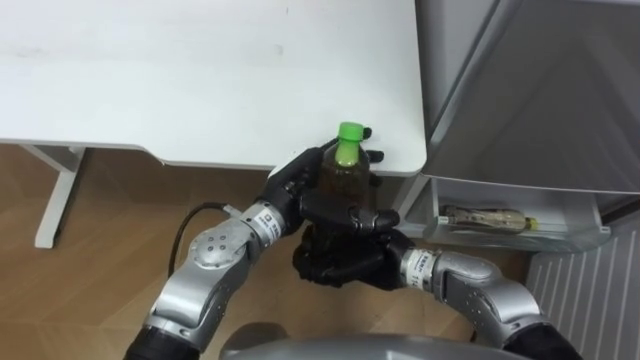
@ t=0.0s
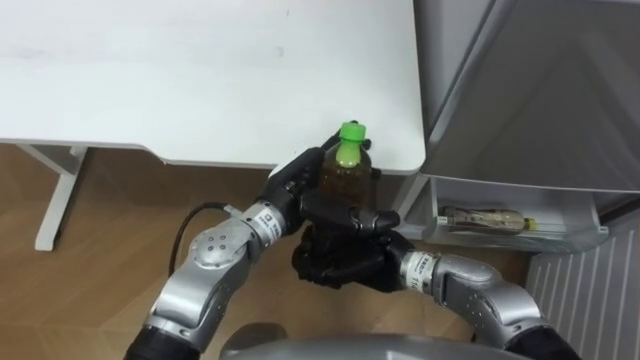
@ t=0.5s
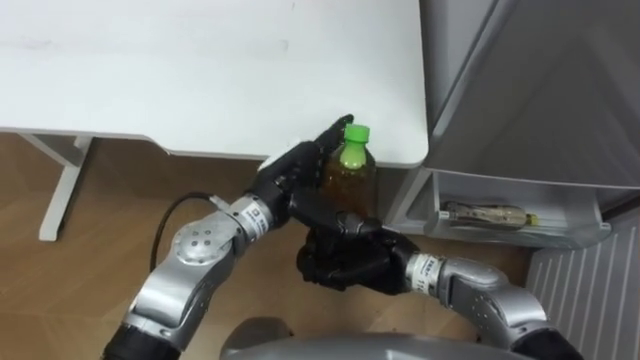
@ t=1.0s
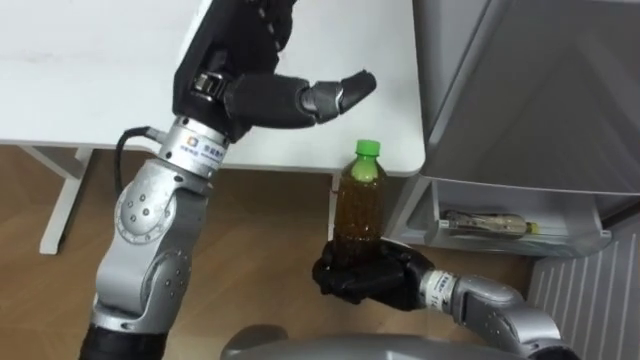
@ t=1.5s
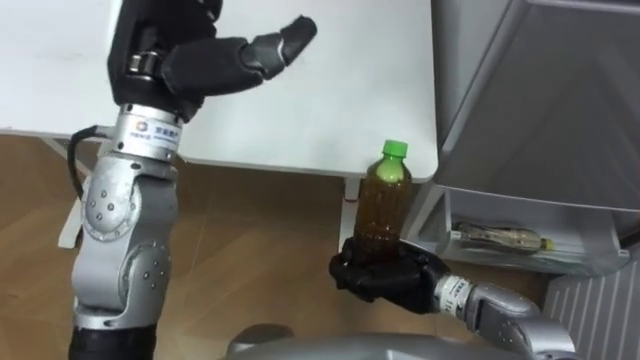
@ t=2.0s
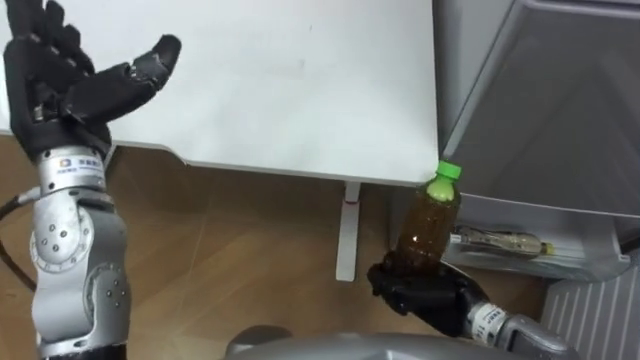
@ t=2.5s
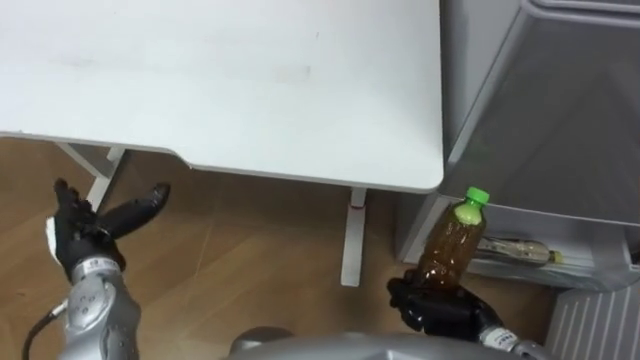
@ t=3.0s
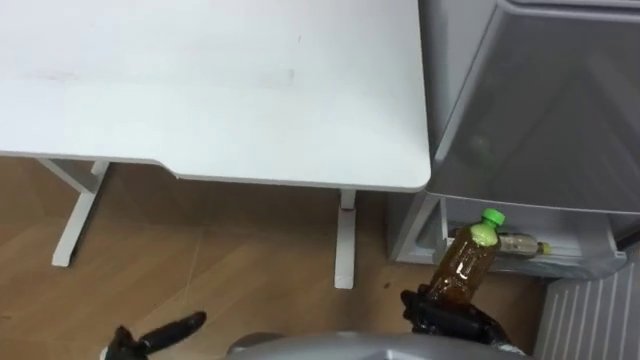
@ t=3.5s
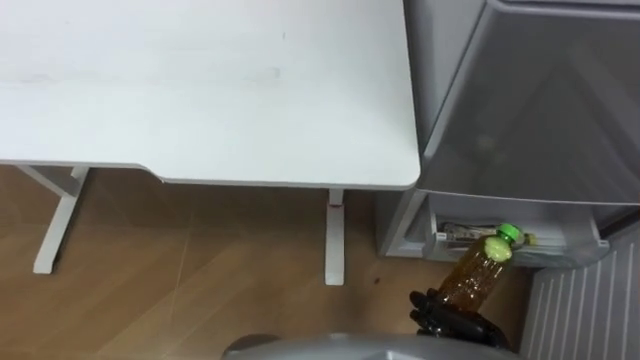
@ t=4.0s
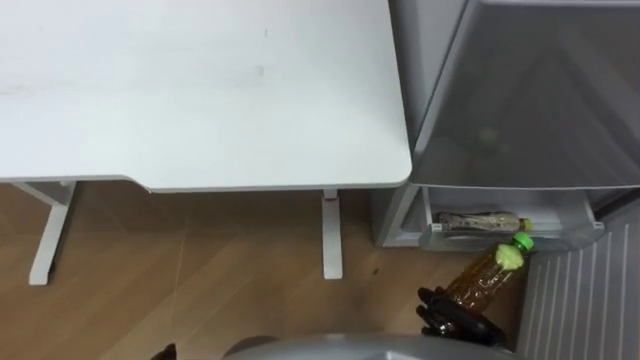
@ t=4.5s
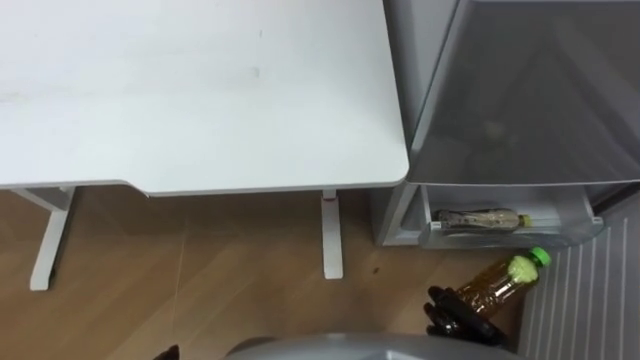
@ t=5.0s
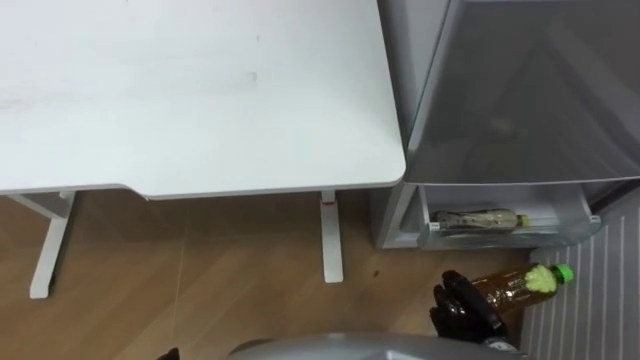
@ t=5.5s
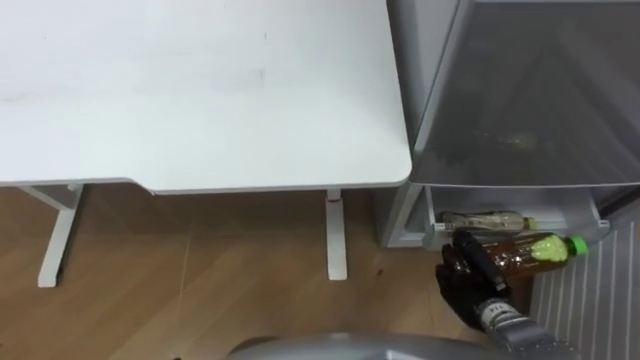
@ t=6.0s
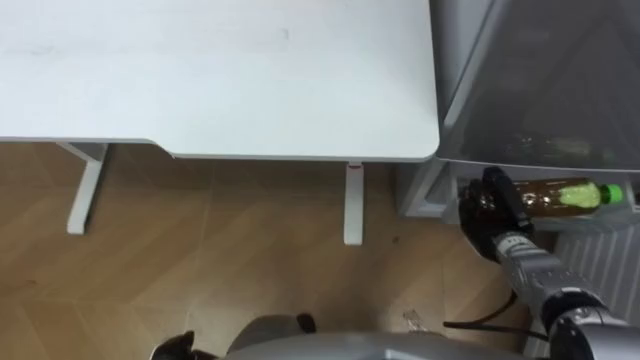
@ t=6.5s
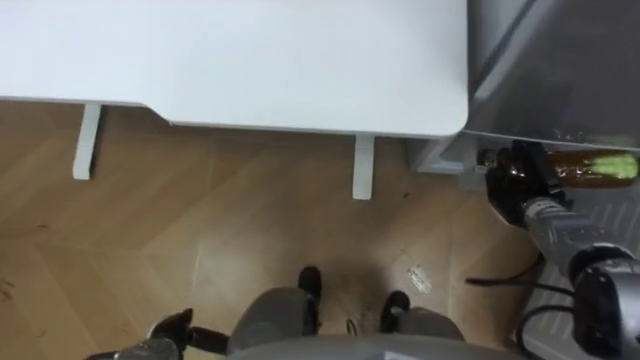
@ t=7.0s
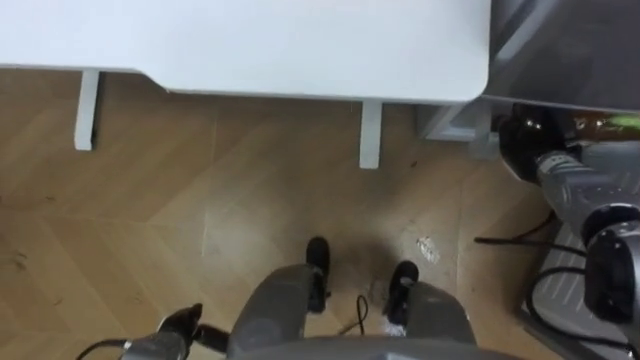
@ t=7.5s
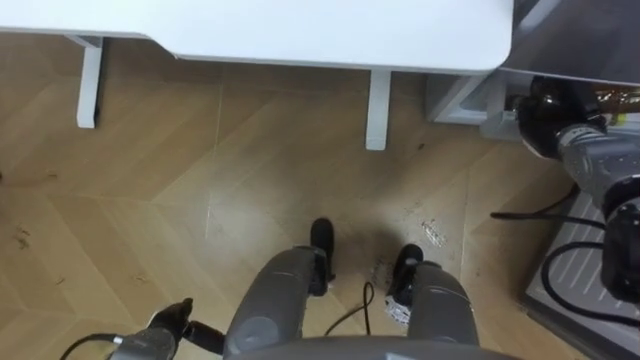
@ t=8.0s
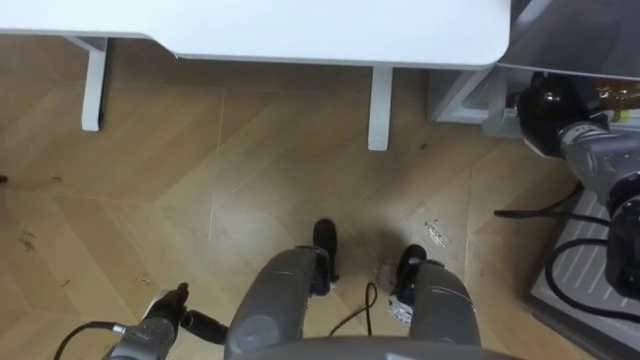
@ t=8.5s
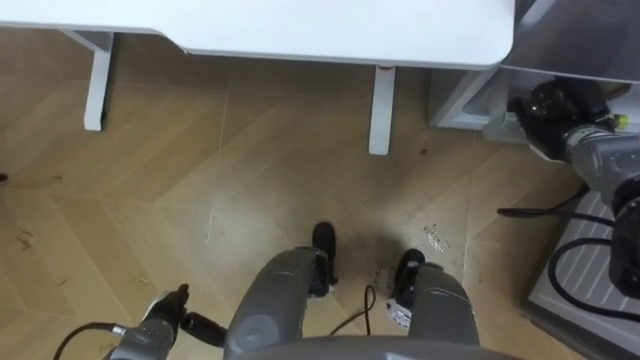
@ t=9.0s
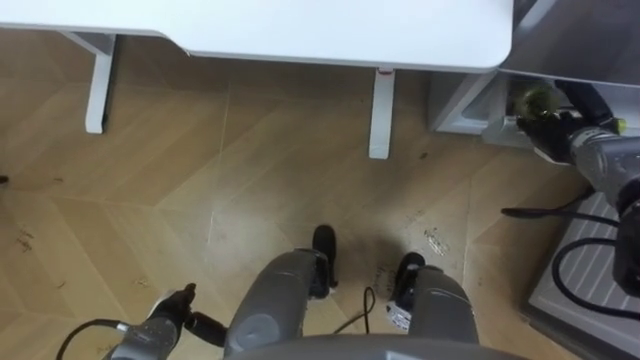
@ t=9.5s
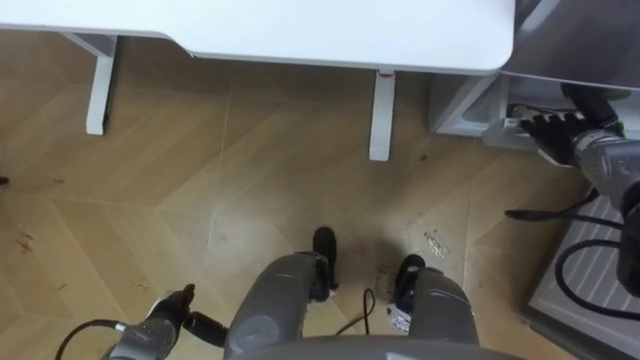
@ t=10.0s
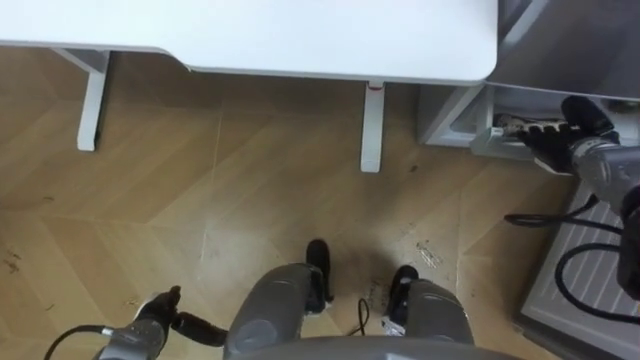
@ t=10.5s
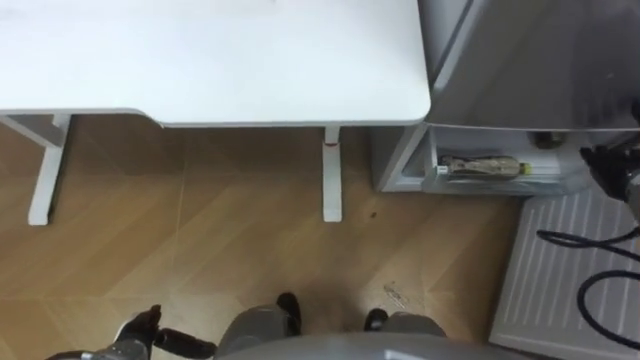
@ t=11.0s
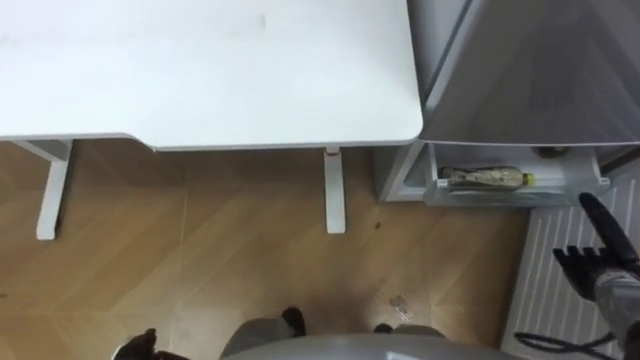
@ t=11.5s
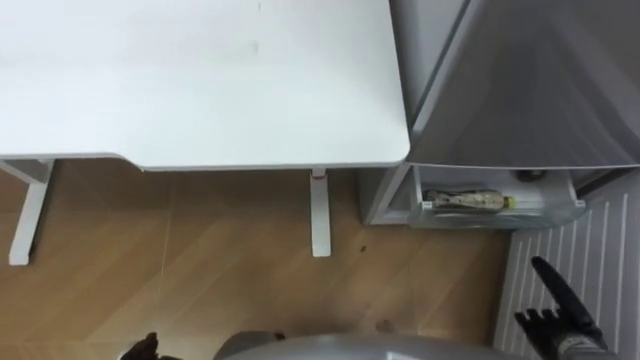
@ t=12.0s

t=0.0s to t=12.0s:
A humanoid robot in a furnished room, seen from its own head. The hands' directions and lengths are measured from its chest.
Task of the whole recording: Place the drink on the table on the bottom shelf of the refrigerator, then close the drawer and the refrigerator door.
t=0.0s to t=2.0s: The right hand changes place by some 5 cm, while the left hand shifts about 20 cm upward and to the left.
t=2.0s to t=4.0s: The right hand heads to the right, backward and downward, covering approximately 15 cm.
t=4.0s to t=6.0s: The right hand goes about 5 cm forward.
t=6.0s to t=8.0s: The right hand heads forward, upward and to the right, covering about 25 cm.
t=8.0s to t=10.0s: The right hand opens.
t=10.0s to t=12.0s: The right hand heads backward and downward, covering some 30 cm.

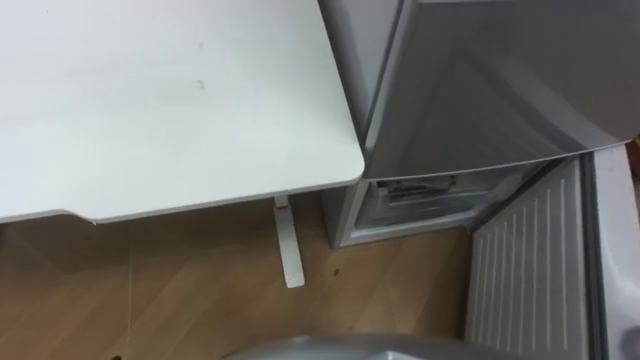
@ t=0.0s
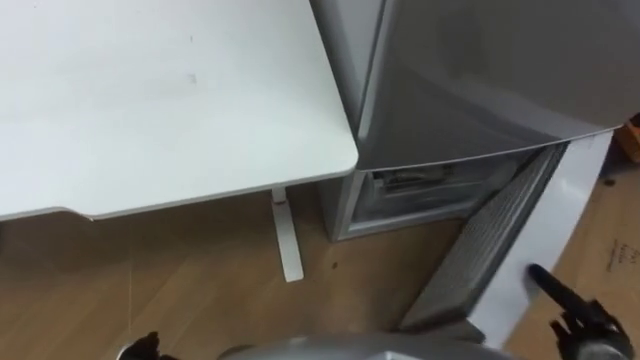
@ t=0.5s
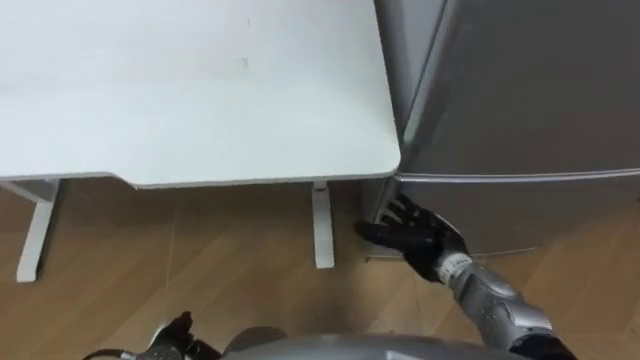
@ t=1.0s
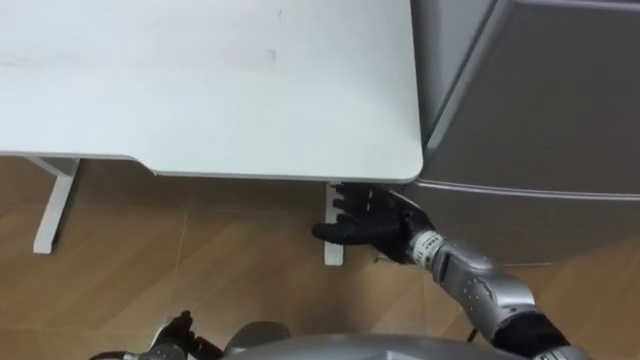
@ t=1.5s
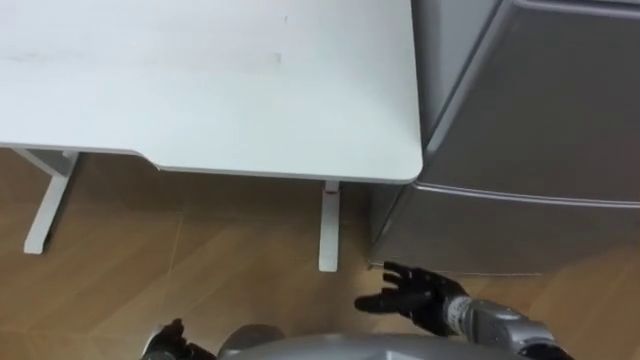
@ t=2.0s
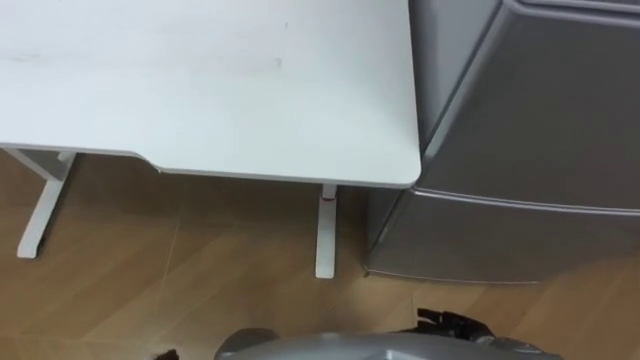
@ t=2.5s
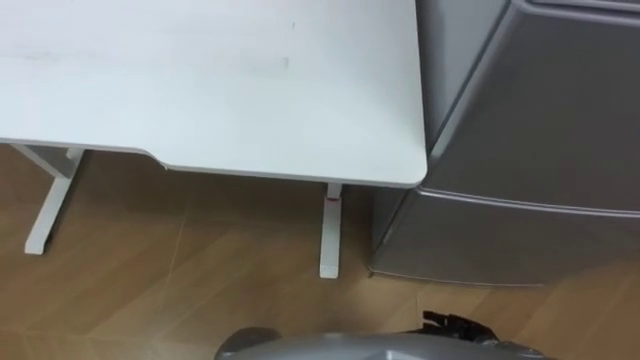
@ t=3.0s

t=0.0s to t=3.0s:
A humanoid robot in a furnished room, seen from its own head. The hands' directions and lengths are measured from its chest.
Task of the whole recording: Place the drink on the table on the bottom shelf of the refrigerator, then close the drawer and the refrigerator door.
t=1.5s to t=3.0s: The right hand is displaced backward, downward and to the right by approximately 25 cm.

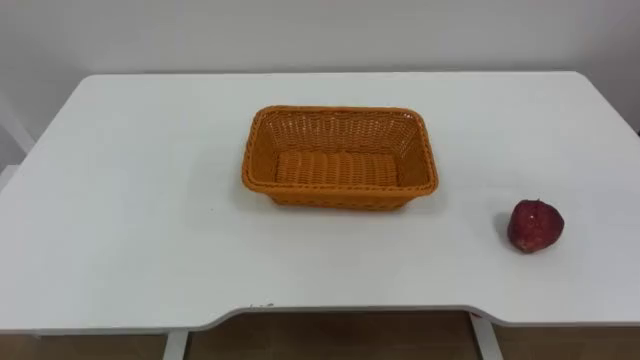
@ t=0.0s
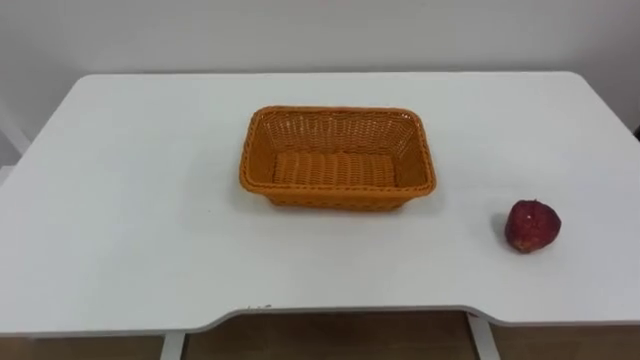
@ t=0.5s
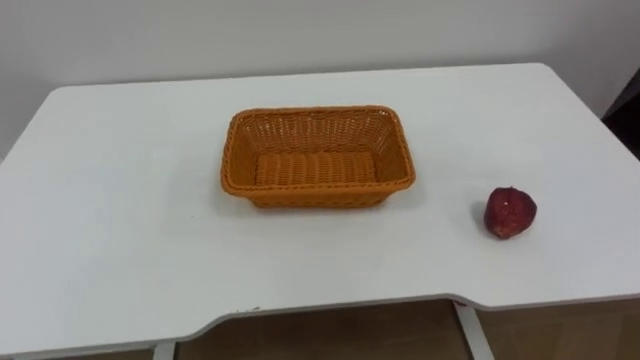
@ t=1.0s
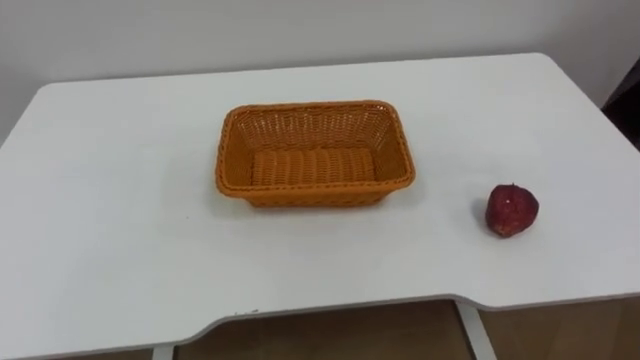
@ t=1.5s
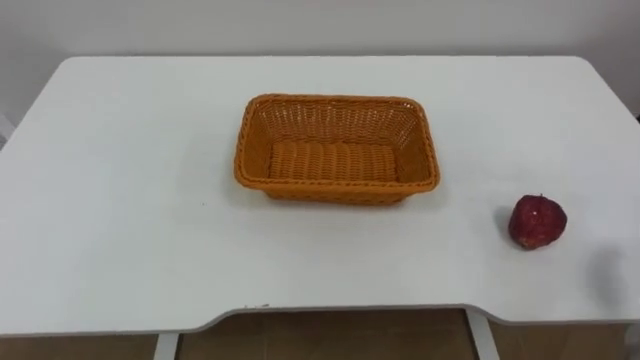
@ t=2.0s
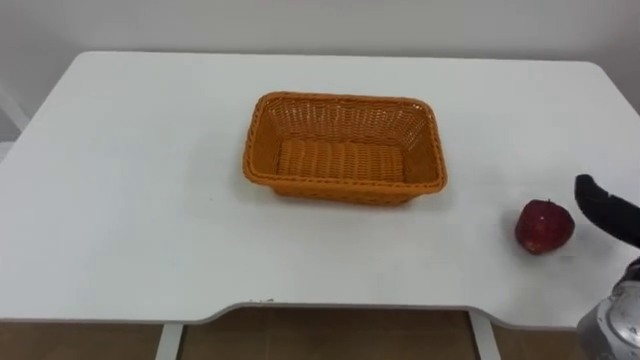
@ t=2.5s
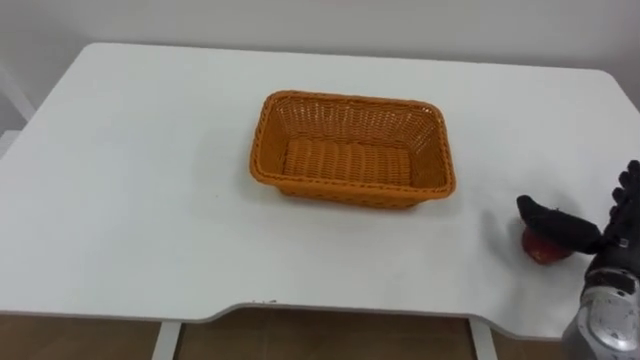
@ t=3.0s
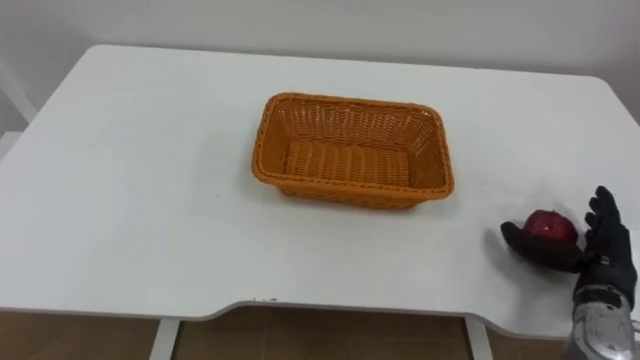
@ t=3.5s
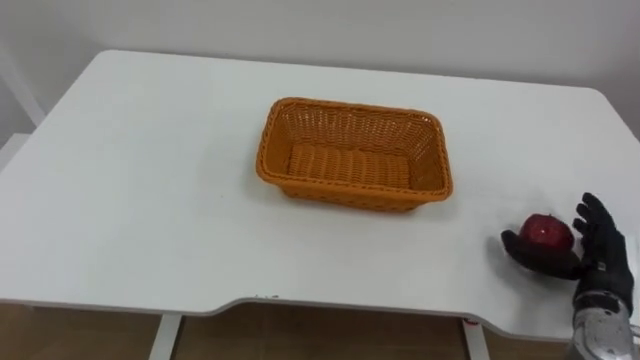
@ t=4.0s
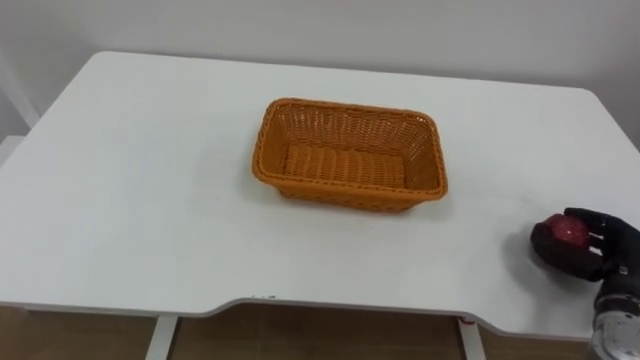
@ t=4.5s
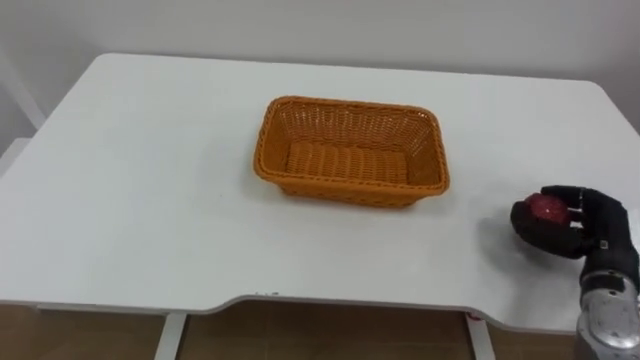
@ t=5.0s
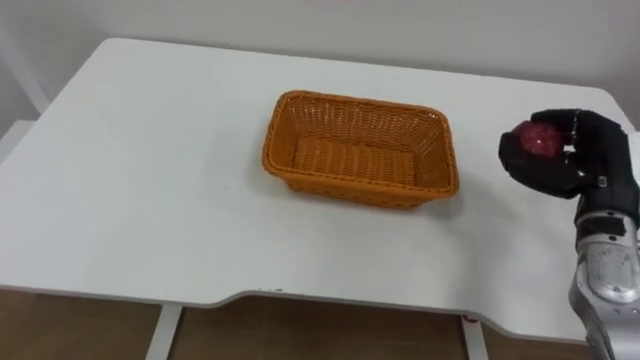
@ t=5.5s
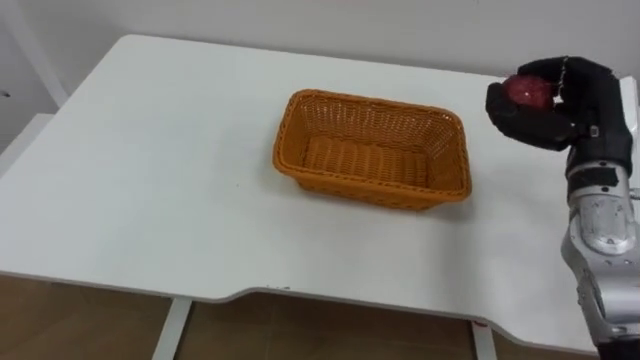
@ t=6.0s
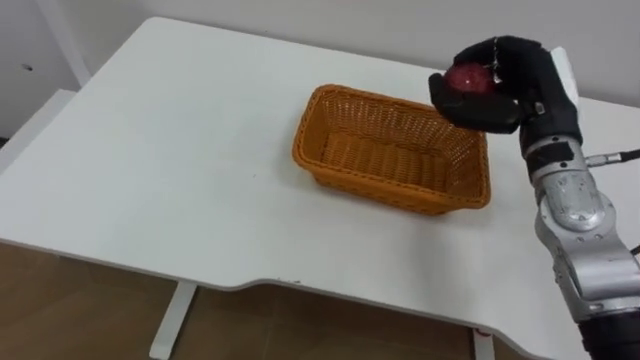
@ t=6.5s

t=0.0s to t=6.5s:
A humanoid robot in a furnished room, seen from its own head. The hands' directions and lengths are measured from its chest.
Task of the whole recording: Pick the apple and place it in the box.
t=4.5s to t=6.5s: The right hand moves upward, forward and to the left, some 25 cm.
